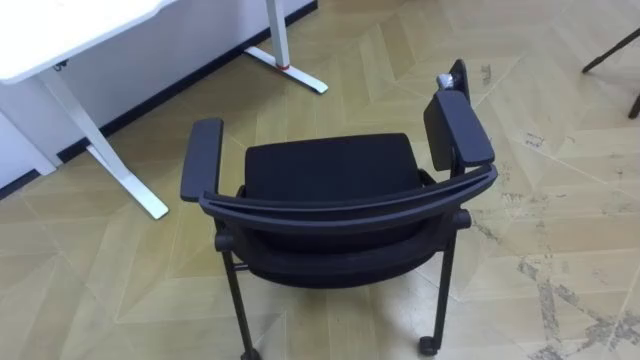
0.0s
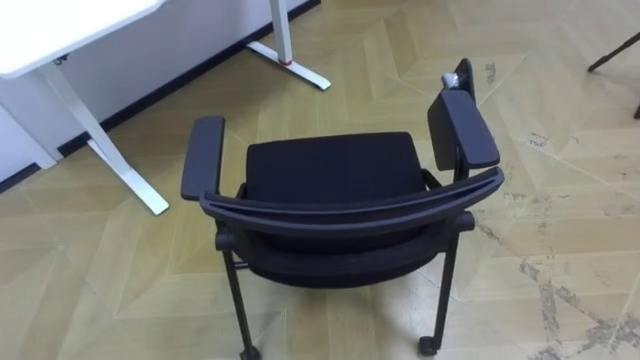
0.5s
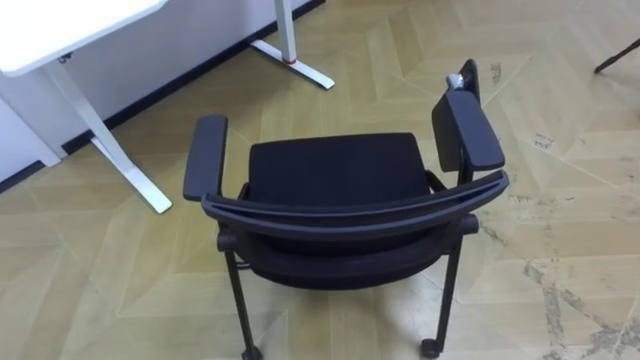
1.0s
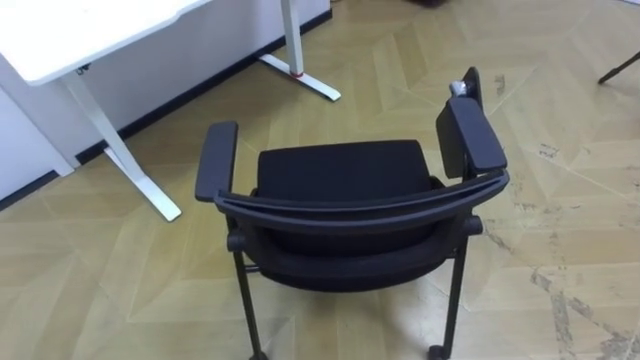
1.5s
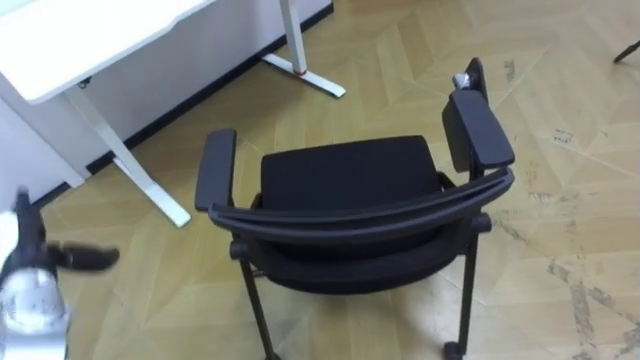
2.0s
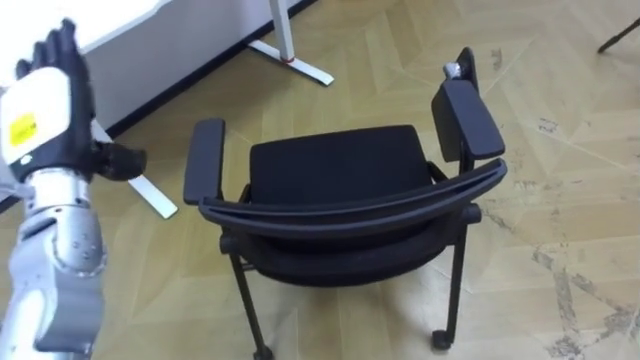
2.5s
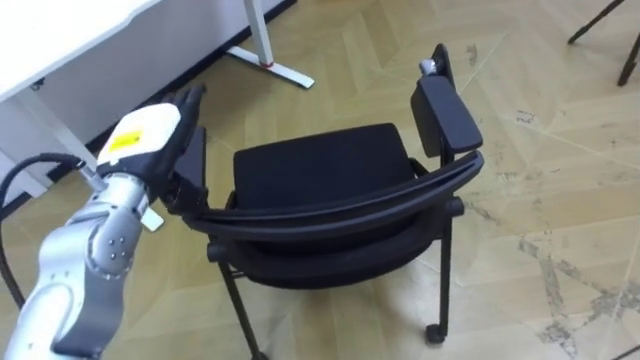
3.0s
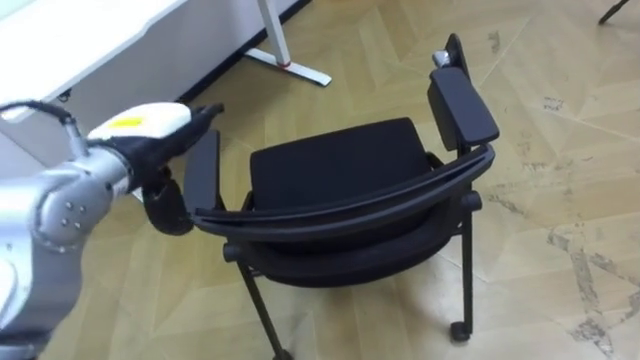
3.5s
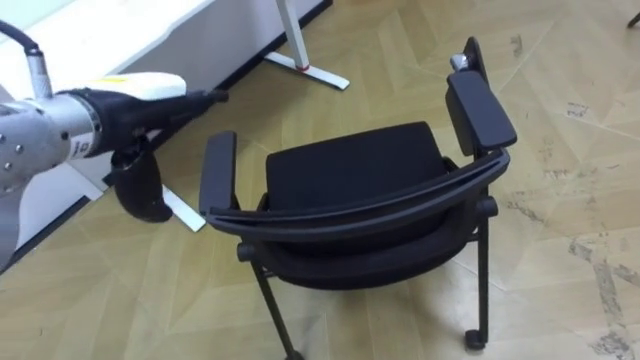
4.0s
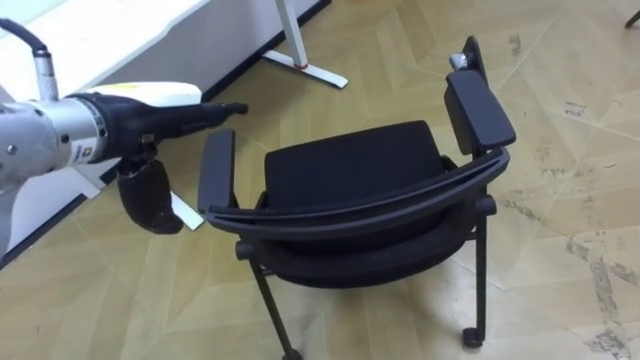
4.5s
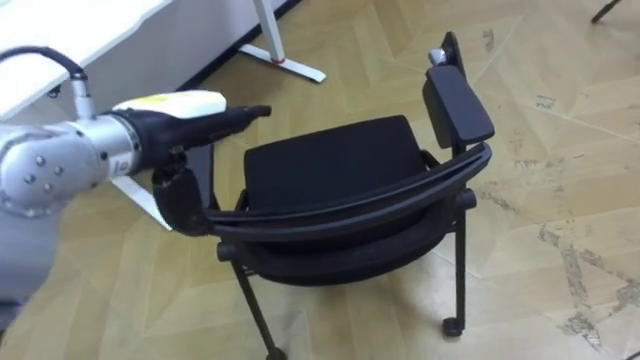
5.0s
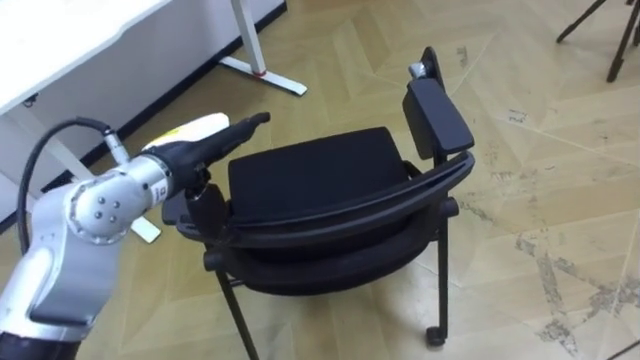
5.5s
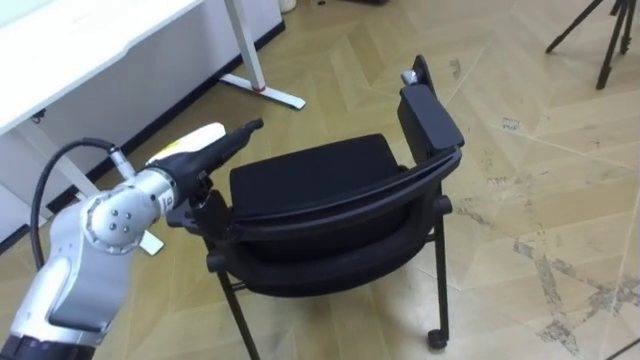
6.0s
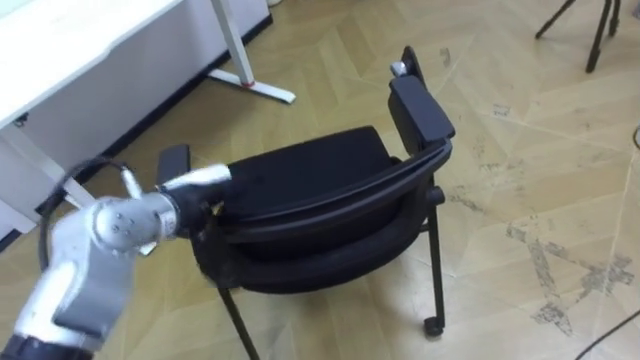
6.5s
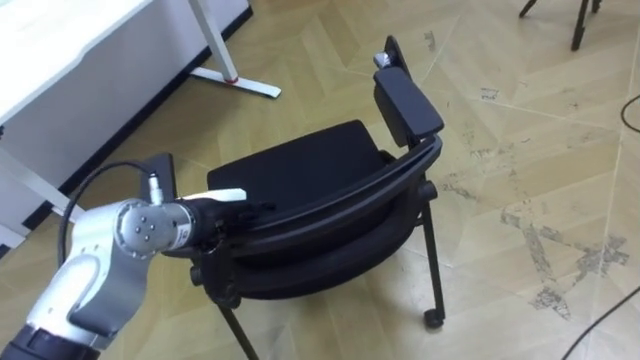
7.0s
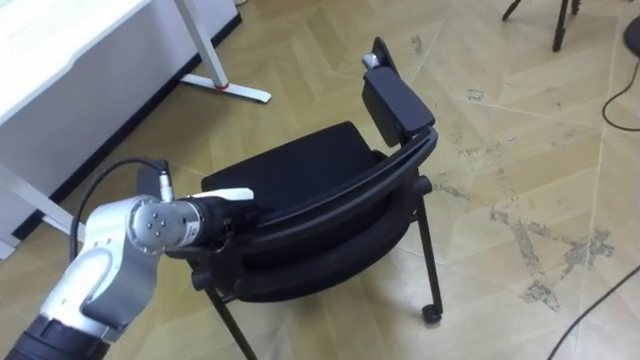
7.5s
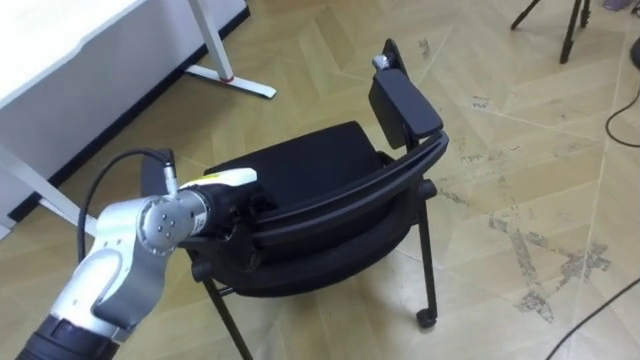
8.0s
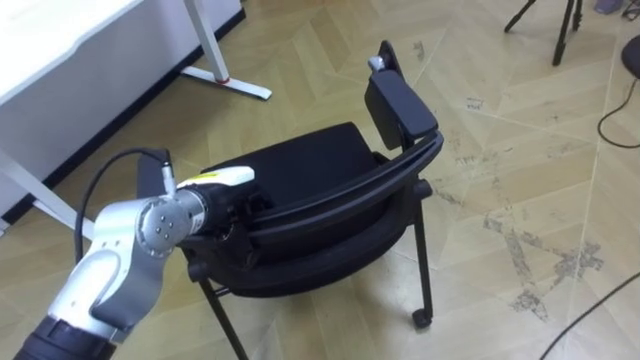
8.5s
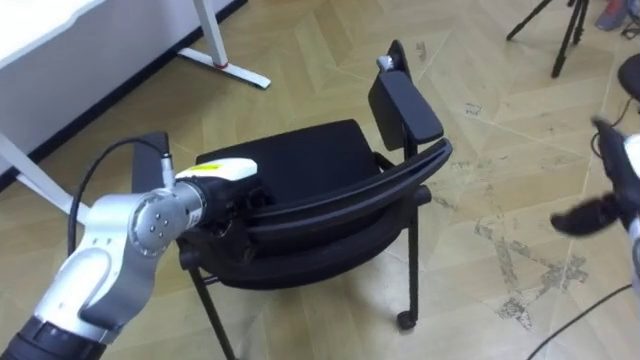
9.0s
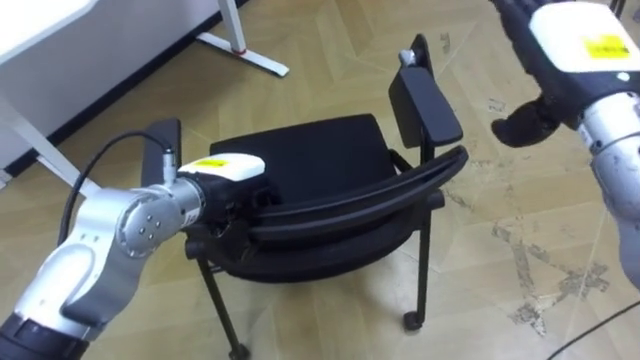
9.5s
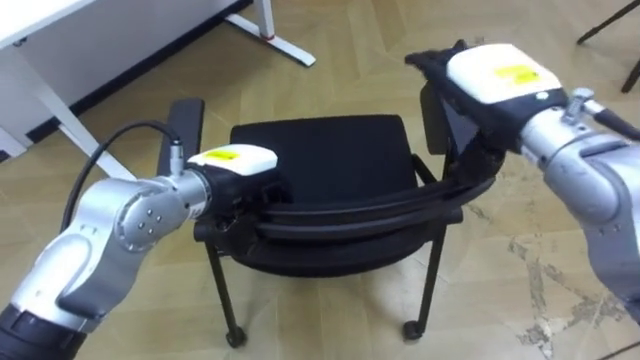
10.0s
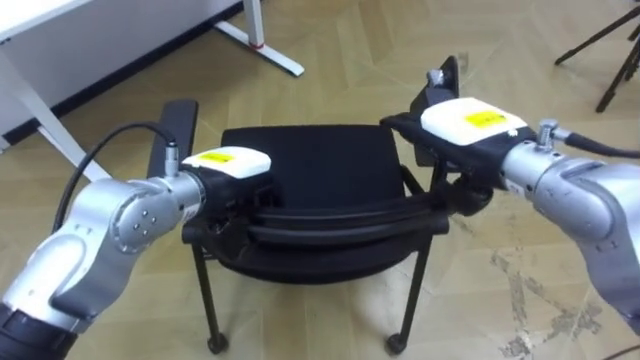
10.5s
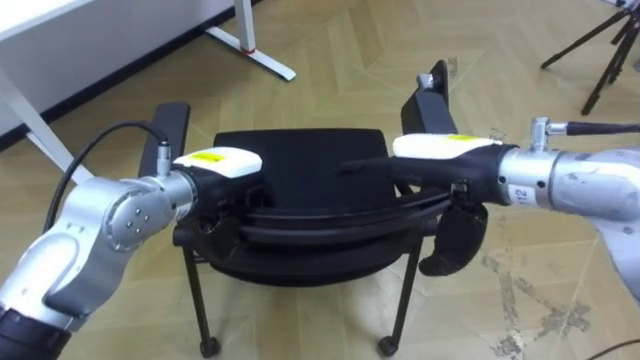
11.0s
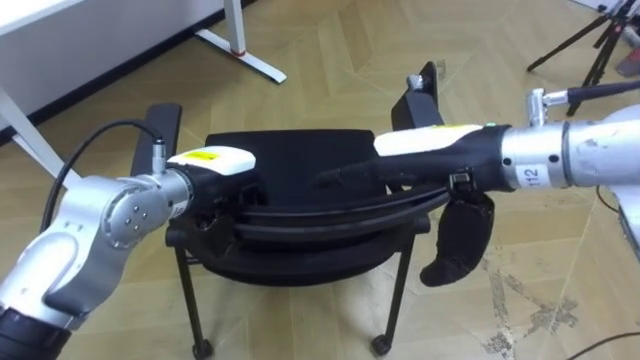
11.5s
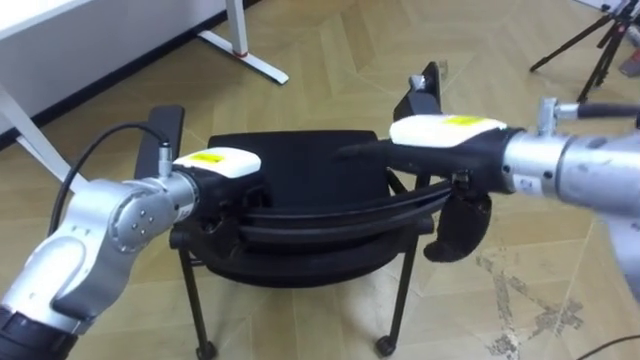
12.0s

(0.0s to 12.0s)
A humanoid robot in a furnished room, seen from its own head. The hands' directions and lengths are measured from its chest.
Task of the whole recording: Push the chair under the table.
2.0s - 4.0s: The left hand swings up and down, some 20 cm each way, with 2 reversals.
4.0s - 6.0s: The left hand goes roughly 10 cm downward.
6.0s - 8.0s: The left hand moves some 5 cm, and closes.
10.0s - 12.0s: The right hand heads backward, covering roughly 5 cm.

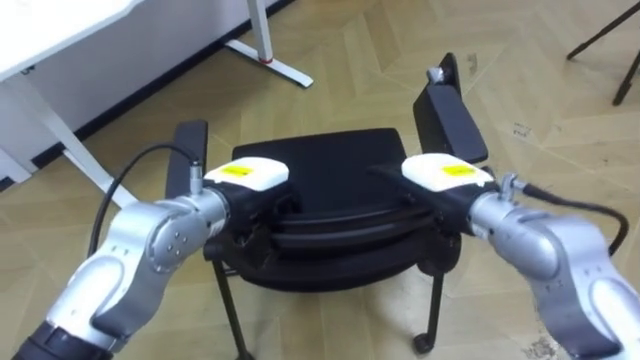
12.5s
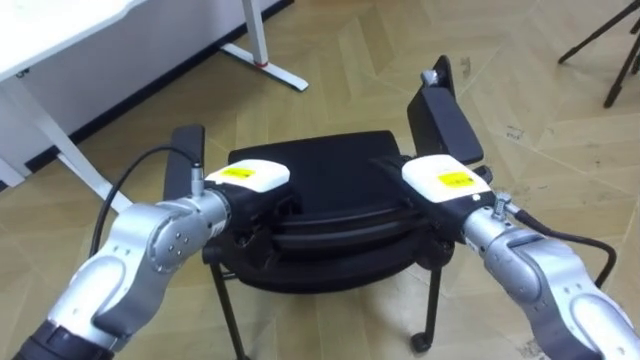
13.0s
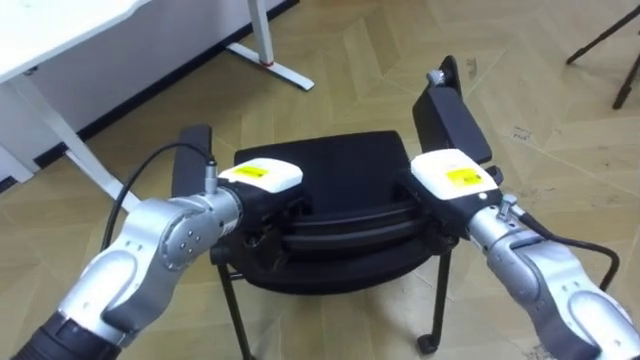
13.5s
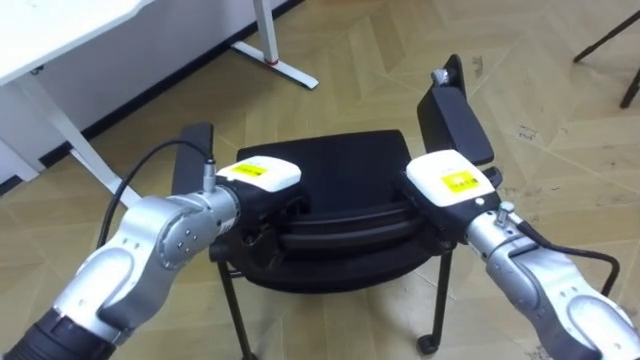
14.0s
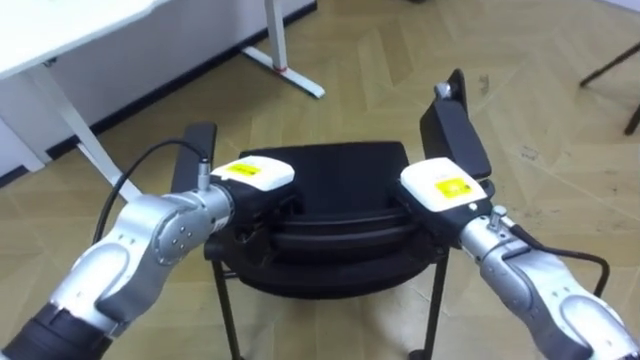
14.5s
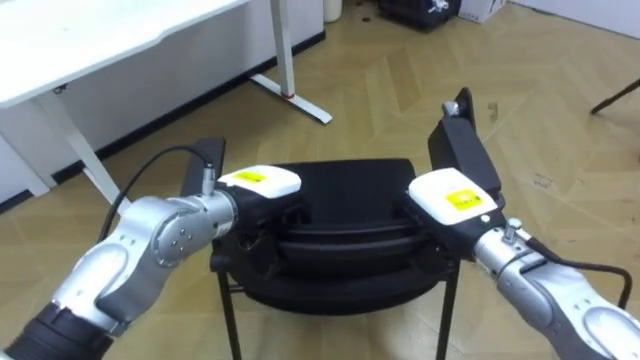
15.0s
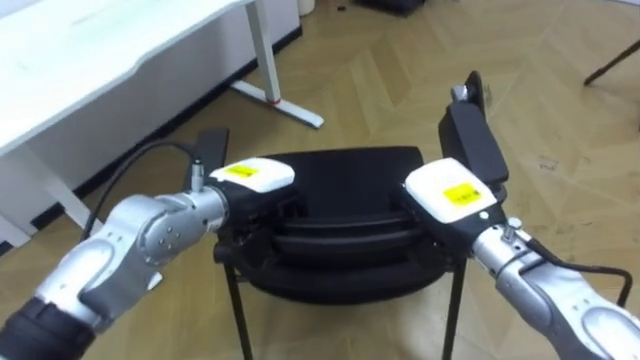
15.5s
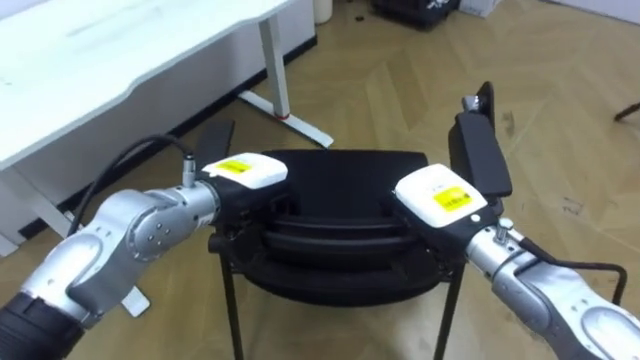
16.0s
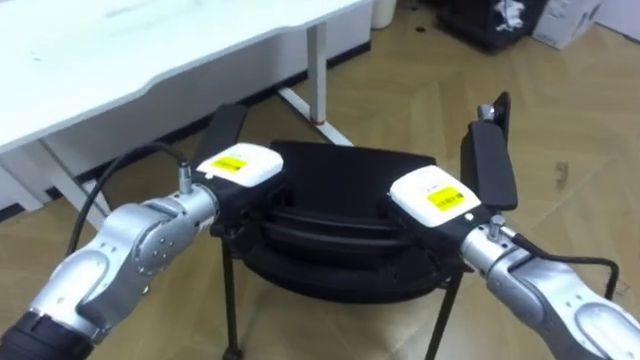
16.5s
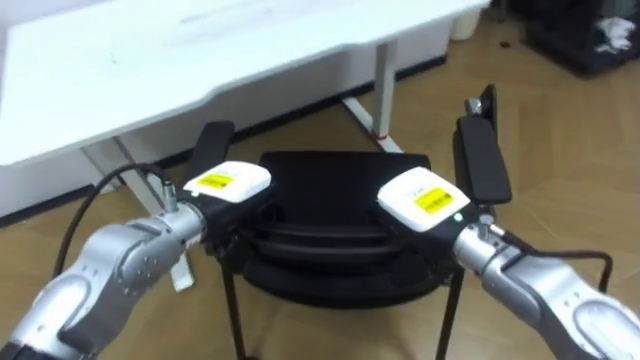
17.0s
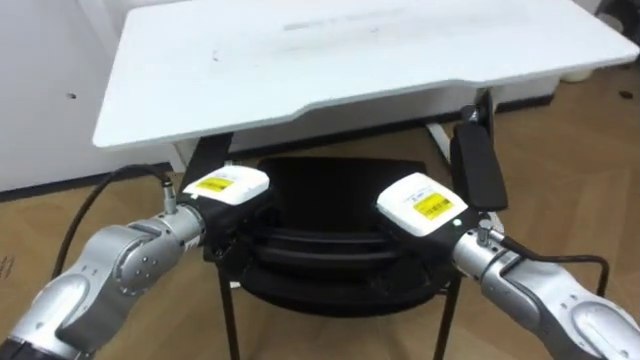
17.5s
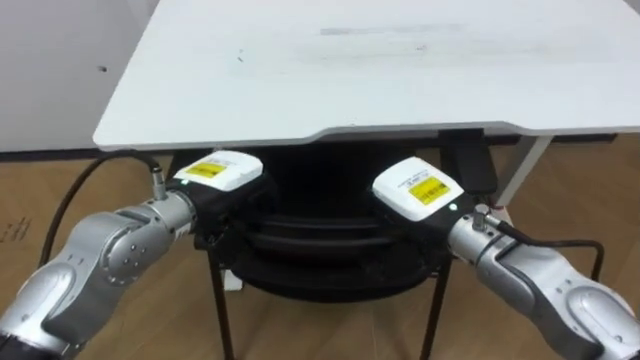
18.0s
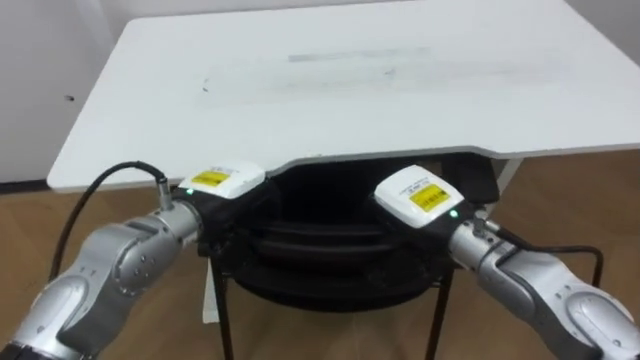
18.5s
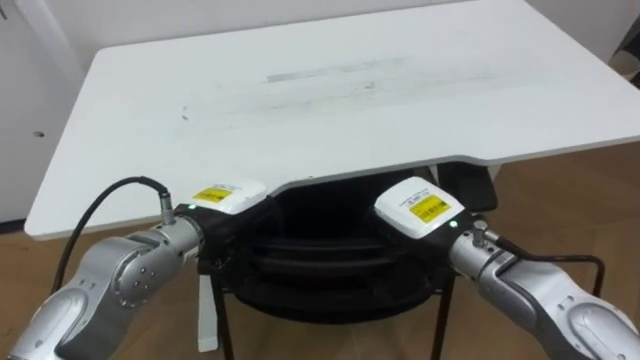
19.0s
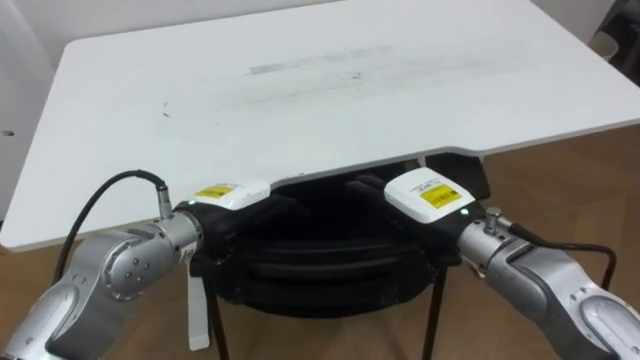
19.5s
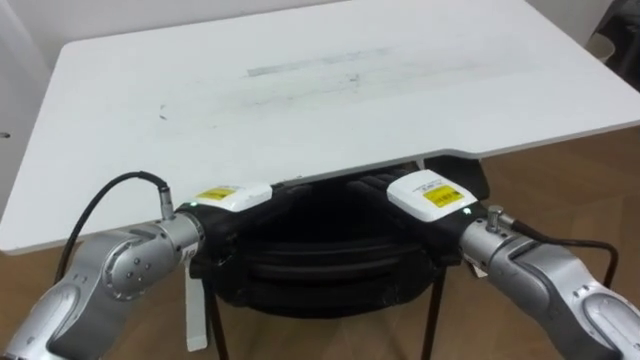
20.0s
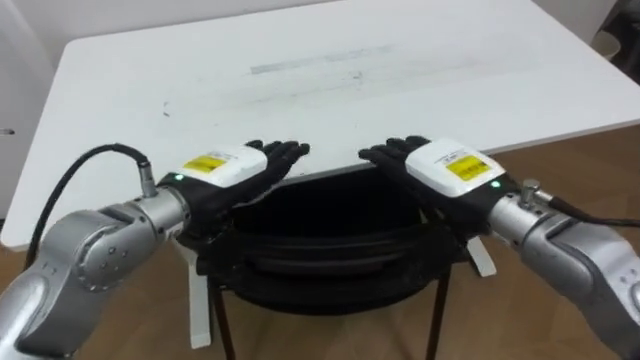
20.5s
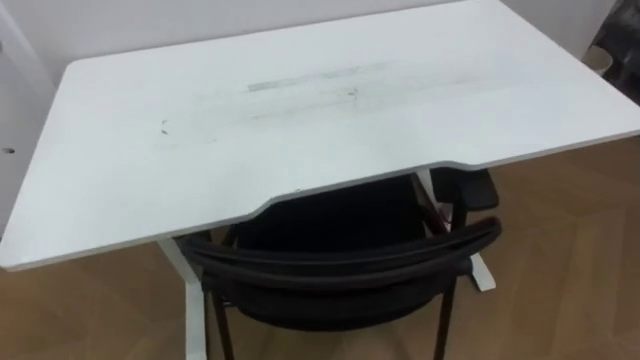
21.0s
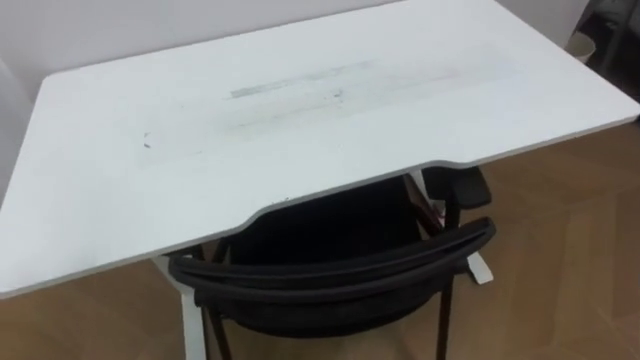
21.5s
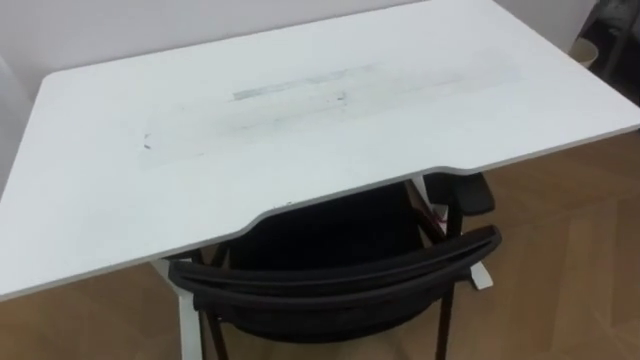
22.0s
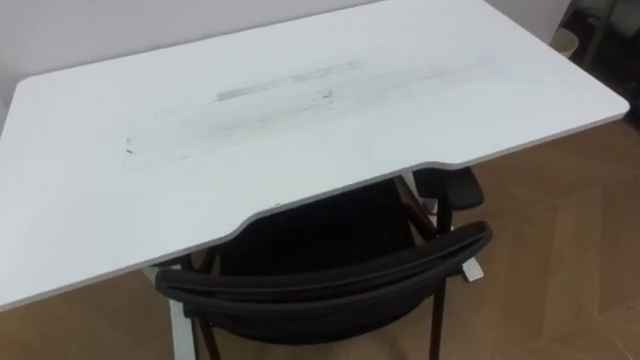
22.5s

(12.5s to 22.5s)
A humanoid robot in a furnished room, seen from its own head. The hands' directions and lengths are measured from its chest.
Task of the whole recording: Push the chair under the table.
12.5s - 14.5s: The right hand closes.
16.5s - 18.5s: The robot's body swings approximately 25 degrees to its left.
18.5s - 20.5s: The left hand opens up. Meanwhile the right hand changes place by about 5 cm, and opens its fingers.
